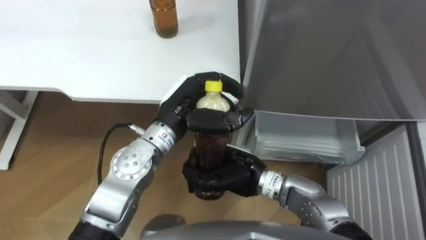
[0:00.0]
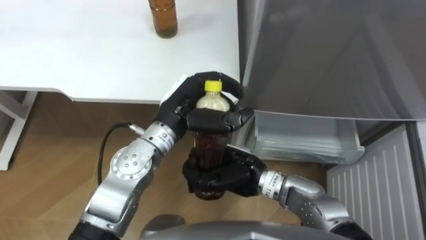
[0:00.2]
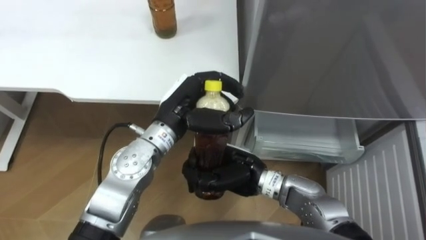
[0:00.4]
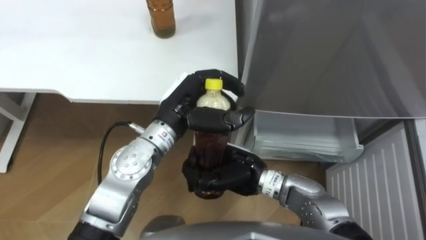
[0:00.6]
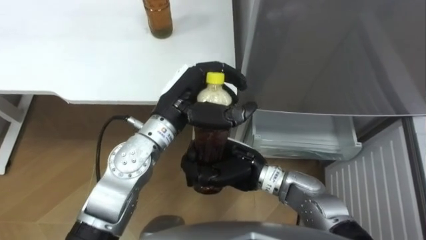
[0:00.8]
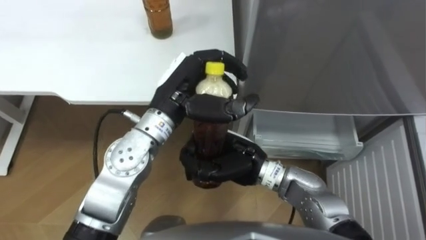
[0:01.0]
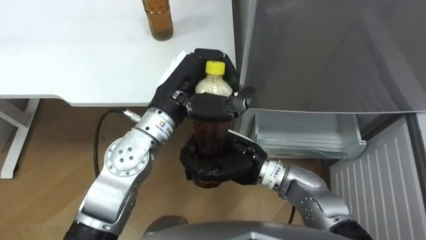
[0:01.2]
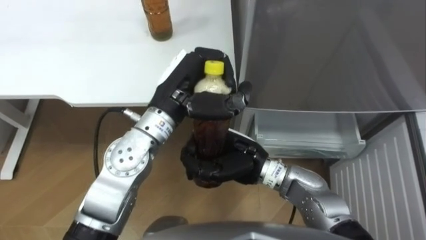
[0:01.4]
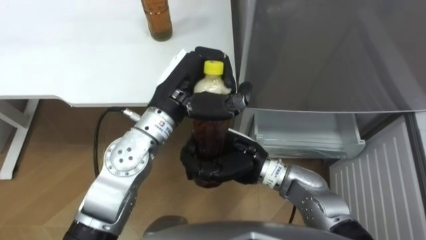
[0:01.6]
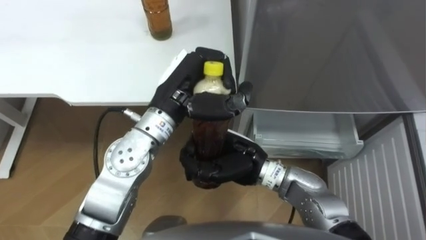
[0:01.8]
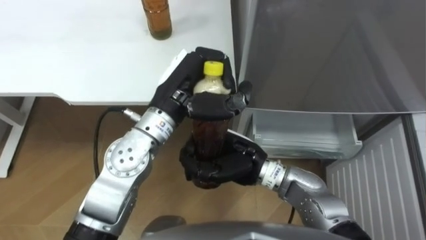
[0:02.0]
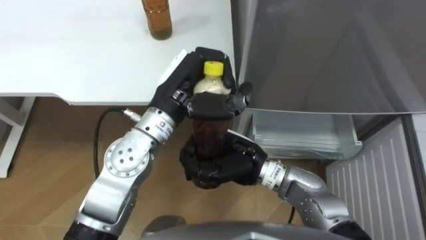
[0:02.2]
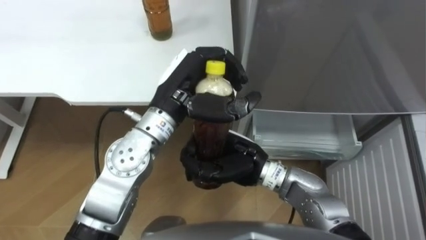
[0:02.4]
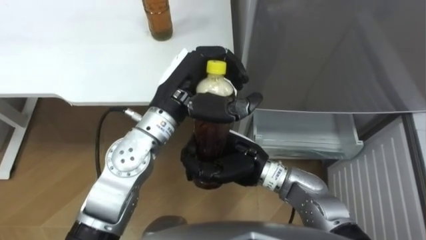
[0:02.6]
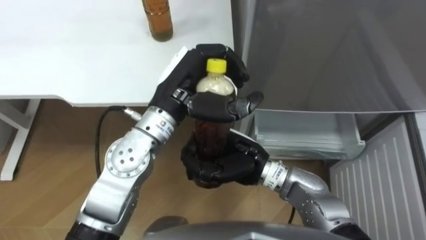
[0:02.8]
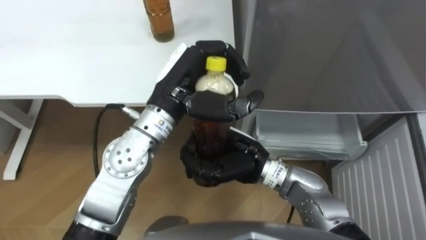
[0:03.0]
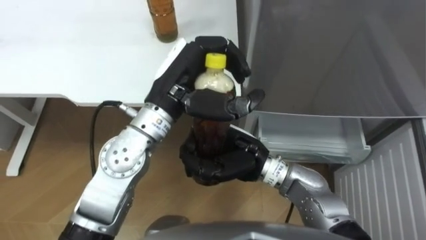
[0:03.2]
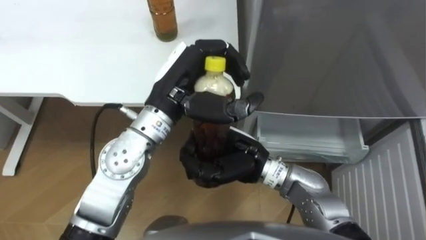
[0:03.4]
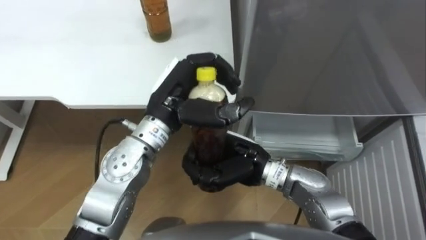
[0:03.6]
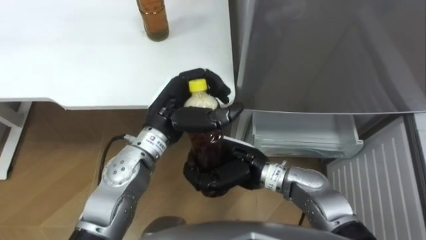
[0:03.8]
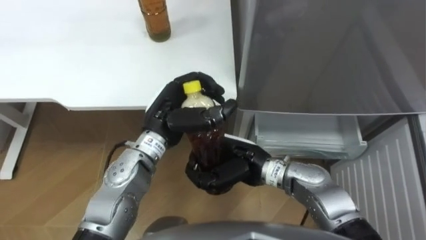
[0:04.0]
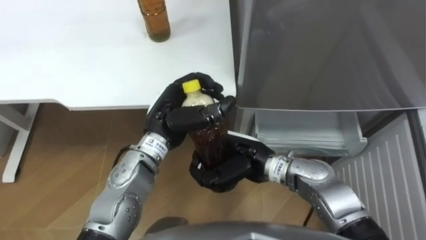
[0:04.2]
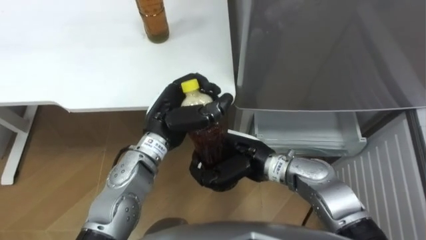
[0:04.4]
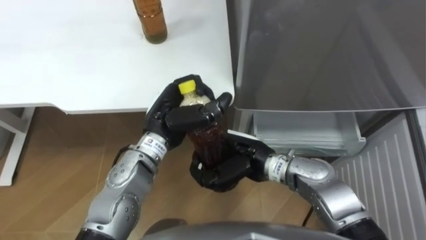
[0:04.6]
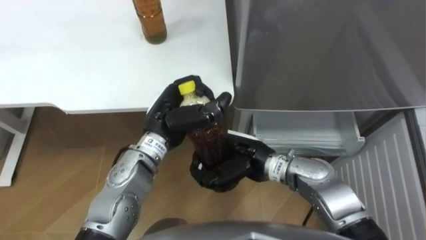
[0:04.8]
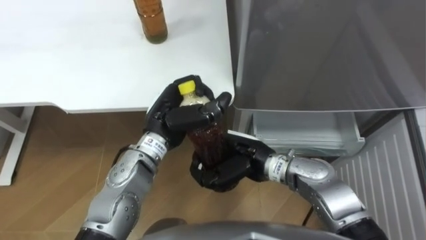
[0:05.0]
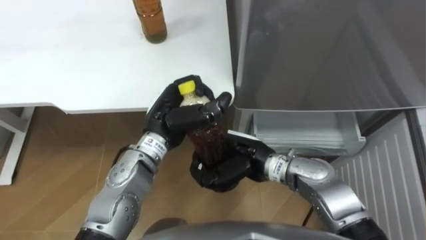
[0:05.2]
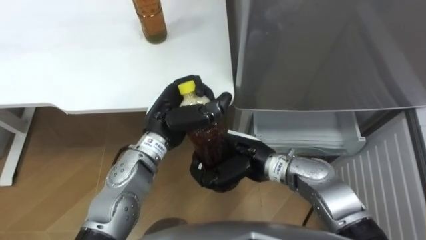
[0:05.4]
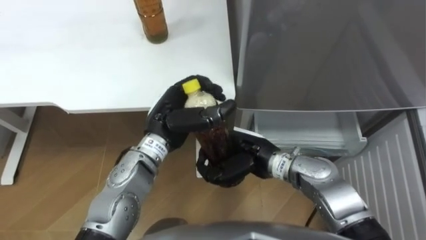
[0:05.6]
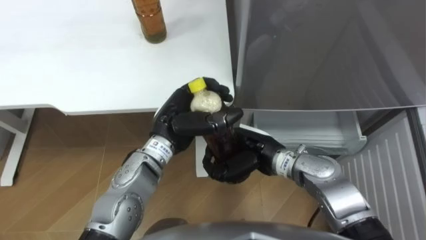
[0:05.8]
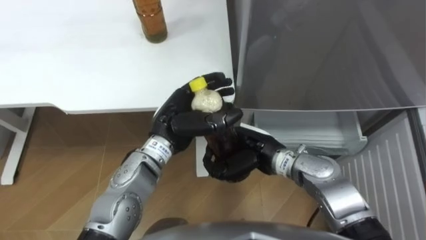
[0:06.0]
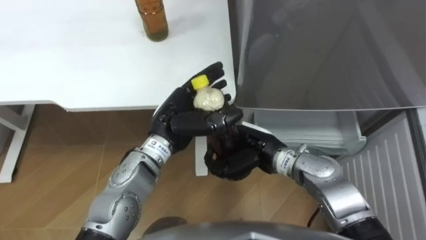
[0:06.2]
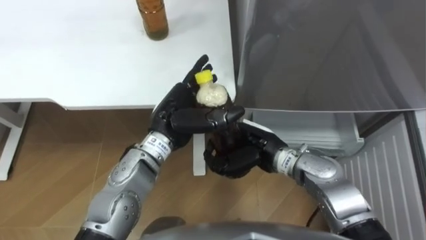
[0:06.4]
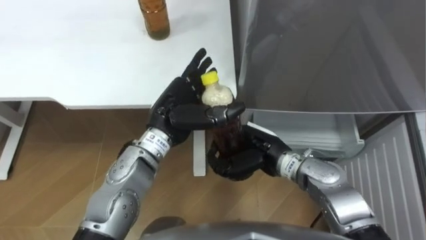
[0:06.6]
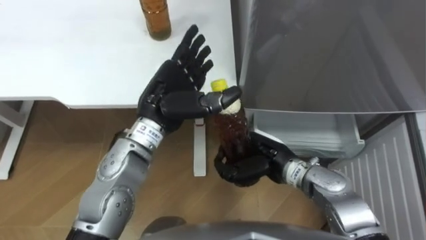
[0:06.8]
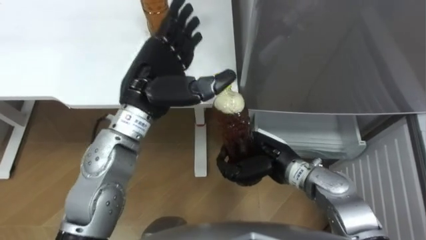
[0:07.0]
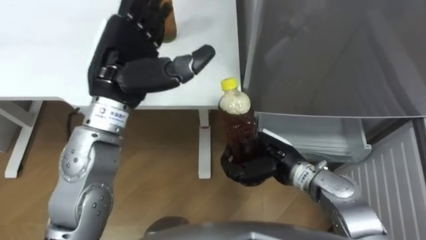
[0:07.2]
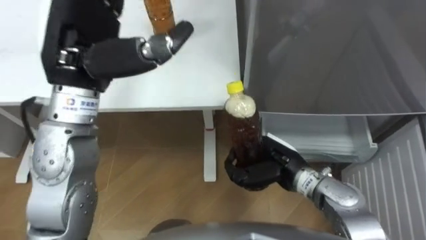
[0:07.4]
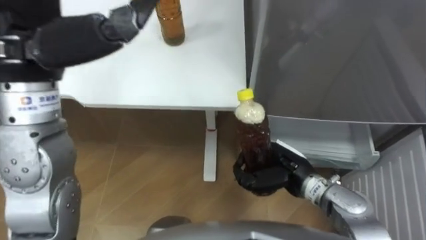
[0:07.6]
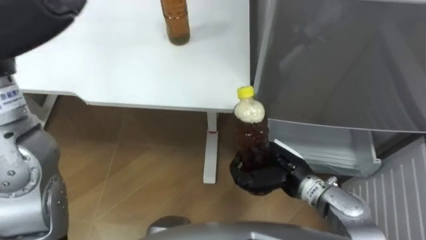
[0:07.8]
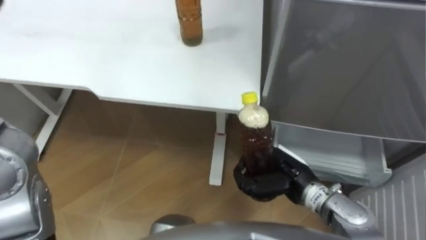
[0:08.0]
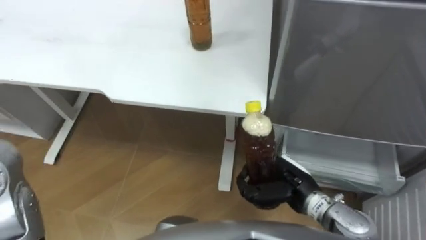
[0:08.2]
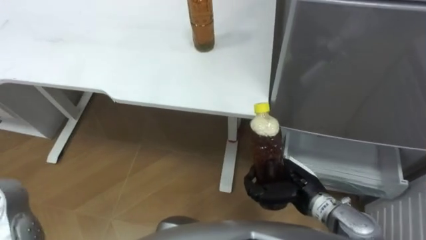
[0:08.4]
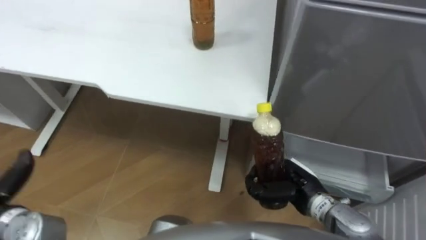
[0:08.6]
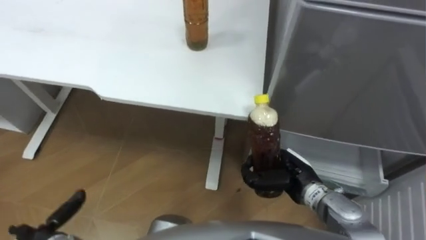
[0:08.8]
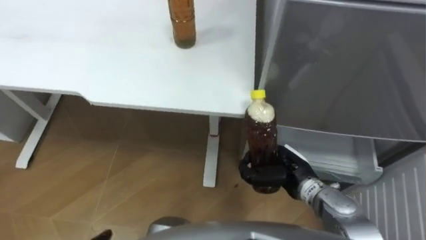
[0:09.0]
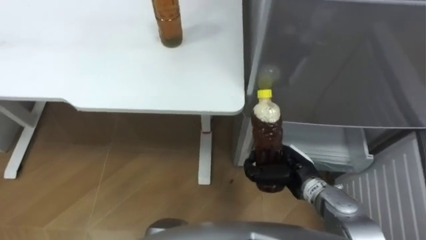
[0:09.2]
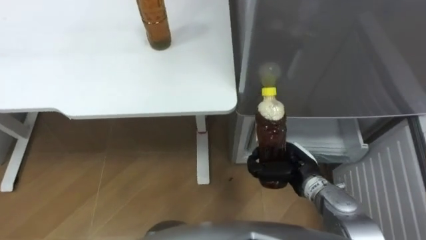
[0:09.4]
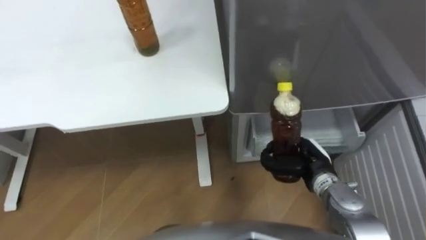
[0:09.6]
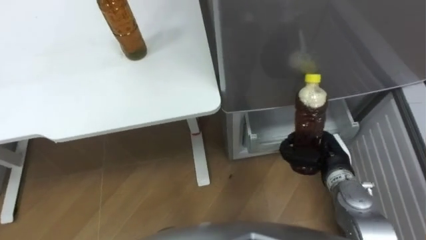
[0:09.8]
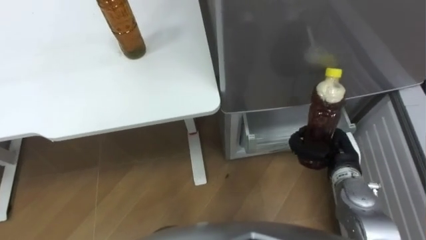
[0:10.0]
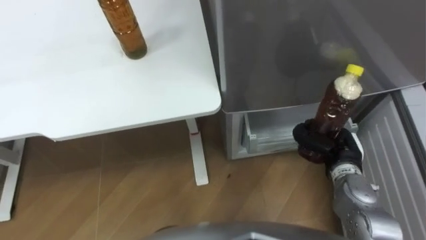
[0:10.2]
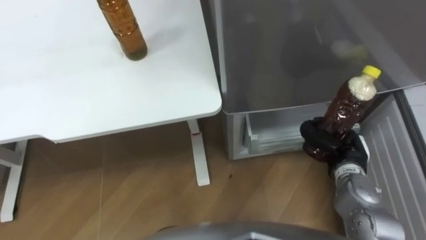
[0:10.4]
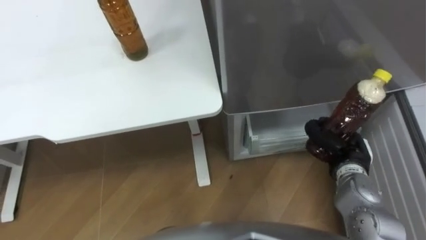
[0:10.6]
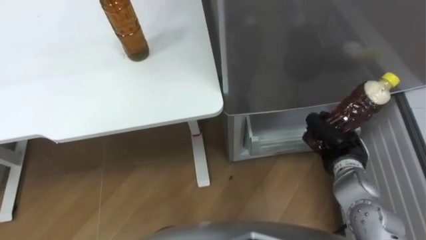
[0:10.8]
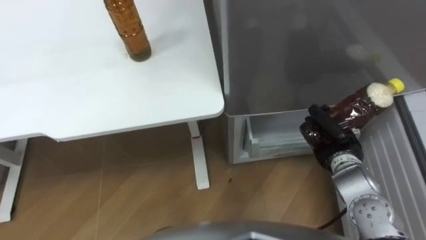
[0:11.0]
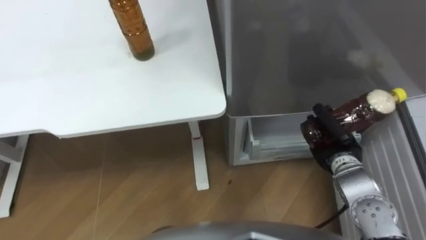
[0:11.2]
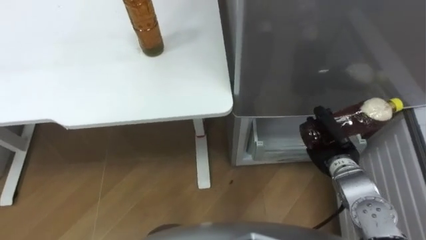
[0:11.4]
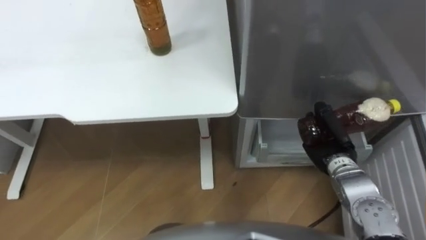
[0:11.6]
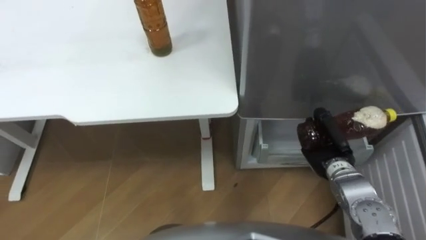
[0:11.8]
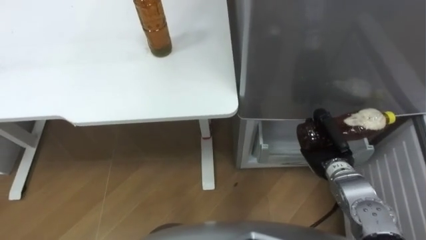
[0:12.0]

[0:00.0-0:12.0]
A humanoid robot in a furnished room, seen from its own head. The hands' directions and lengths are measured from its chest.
Task of the whole recording: Place the drink on the table on the bottom shelf of the refrigerator, then close the drawer and the refrigerator door.
0:00.0 to 0:01.6: The left hand shifts roughly 5 cm upward.
0:01.6 to 0:03.0: Both hands stay put.
0:03.0 to 0:04.4: The left hand goes some 10 cm downward.
0:04.4 to 0:06.0: The left hand opens.
0:06.0 to 0:07.6: The right hand heads to the right, covering some 5 cm, while the left hand is displaced upward and to the left by roughly 25 cm, and opens its fingers.
0:09.0 to 0:10.4: The right hand goes about 10 cm to the right.

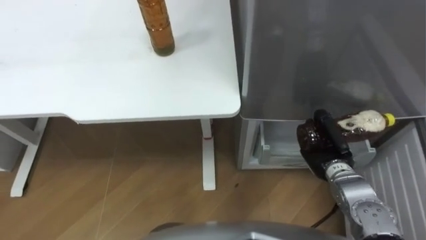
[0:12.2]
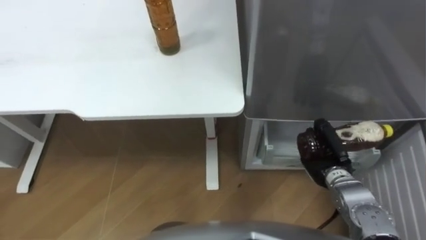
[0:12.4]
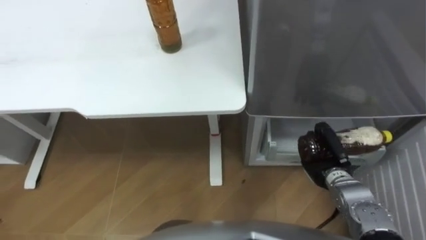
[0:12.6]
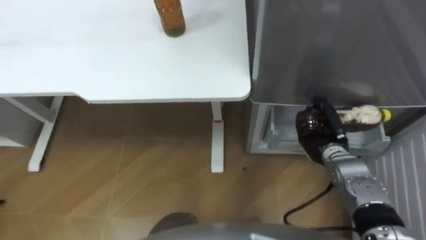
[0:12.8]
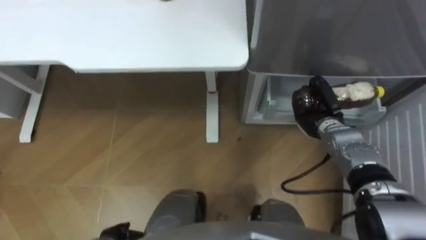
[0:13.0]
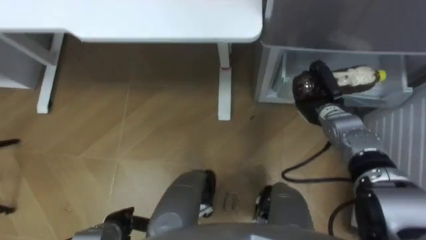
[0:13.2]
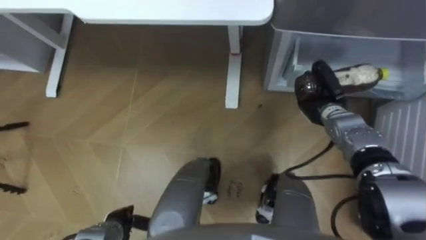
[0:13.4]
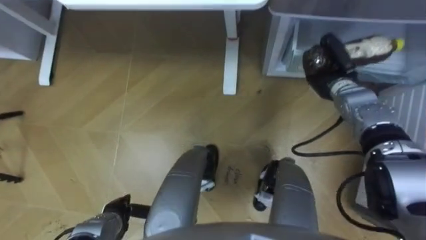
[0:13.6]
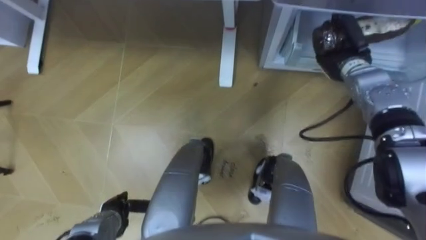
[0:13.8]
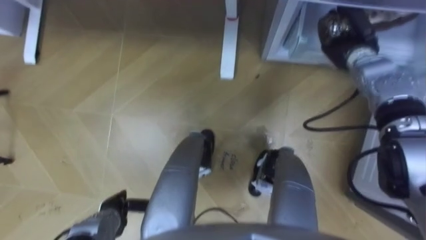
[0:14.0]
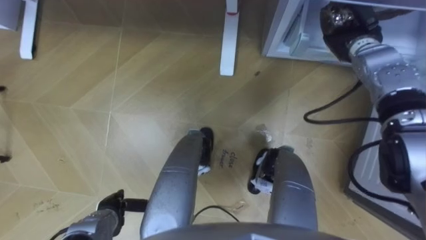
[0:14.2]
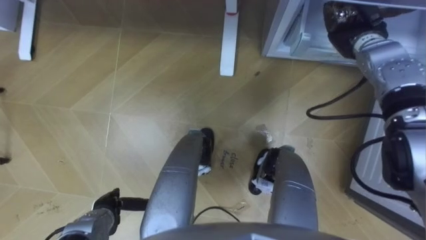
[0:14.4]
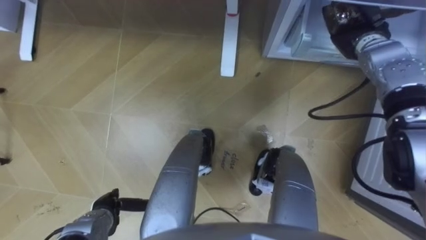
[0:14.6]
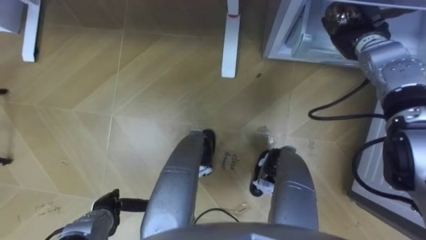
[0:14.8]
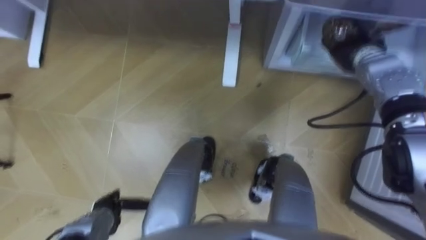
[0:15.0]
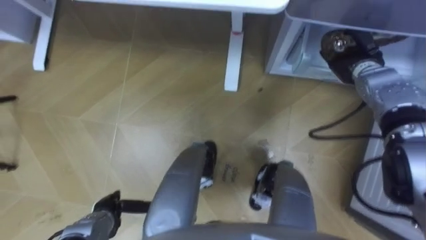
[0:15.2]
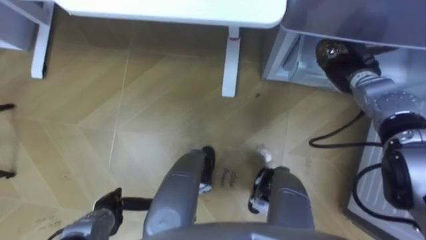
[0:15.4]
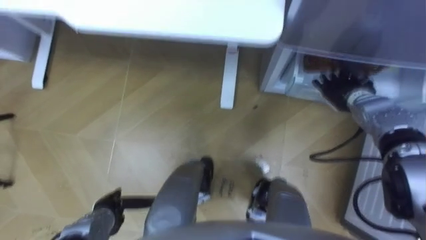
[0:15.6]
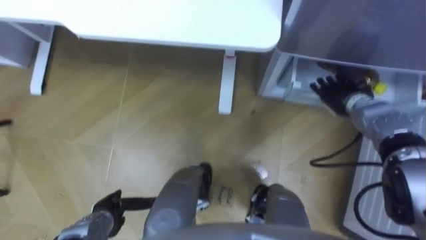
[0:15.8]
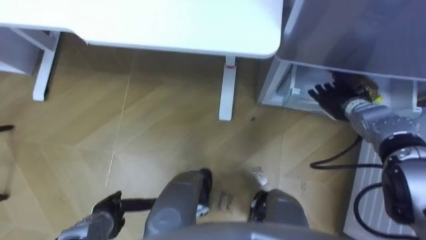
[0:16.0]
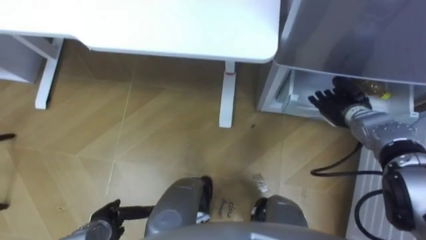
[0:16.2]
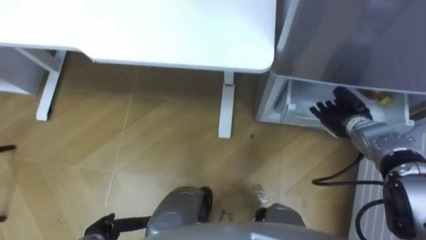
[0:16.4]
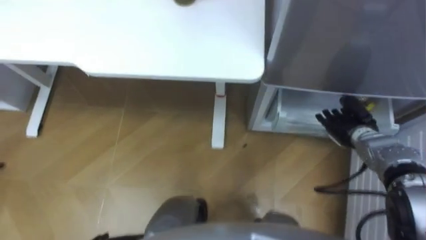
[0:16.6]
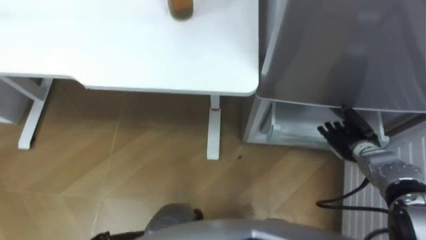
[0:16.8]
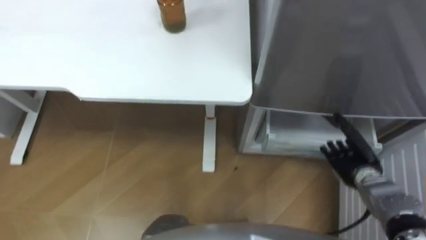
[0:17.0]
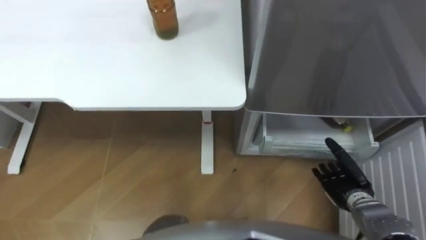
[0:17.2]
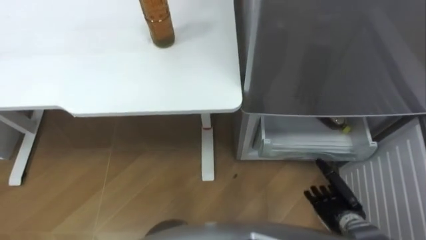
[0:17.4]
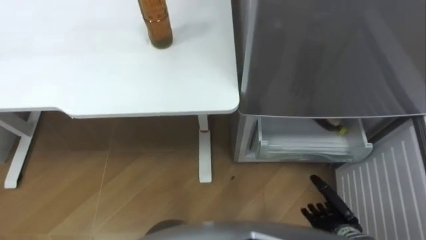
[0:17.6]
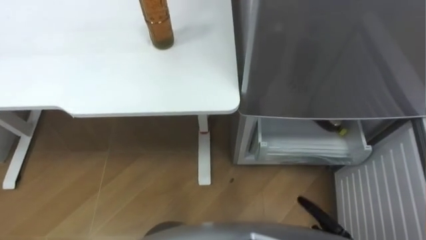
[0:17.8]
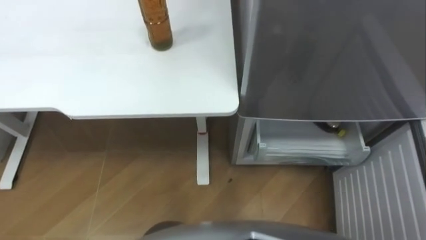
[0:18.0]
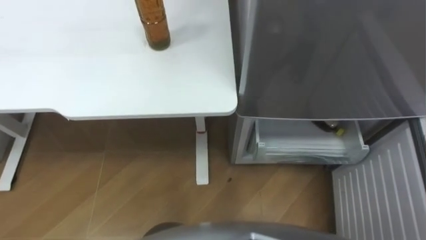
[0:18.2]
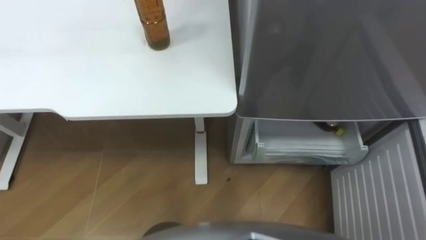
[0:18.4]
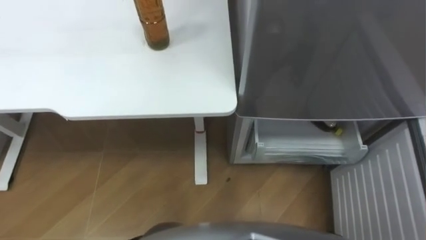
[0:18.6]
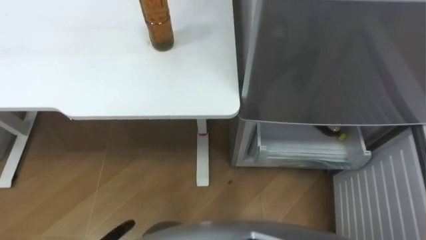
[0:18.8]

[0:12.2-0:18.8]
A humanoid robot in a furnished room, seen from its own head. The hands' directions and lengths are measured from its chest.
Task of the whole recording: Place the drink on the table on the bottom shelf of the refrigerator, then close the drawer and the refrigerator door.
0:12.2 to 0:13.8: The right hand travels forward and upward by approximately 20 cm.
0:13.8 to 0:15.4: The right hand opens its fingers.
0:15.4 to 0:17.2: The right hand is displaced backward and downward by some 25 cm.
